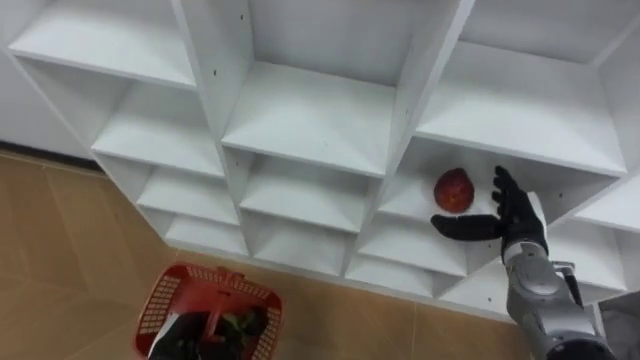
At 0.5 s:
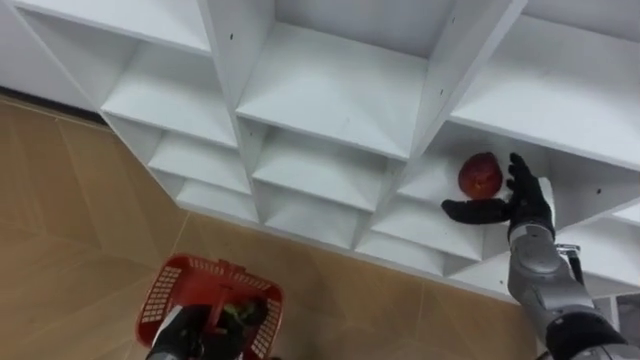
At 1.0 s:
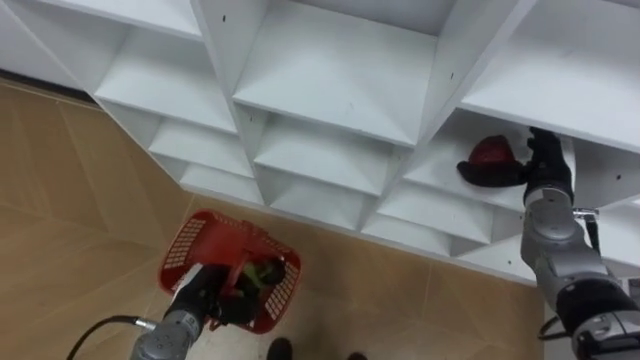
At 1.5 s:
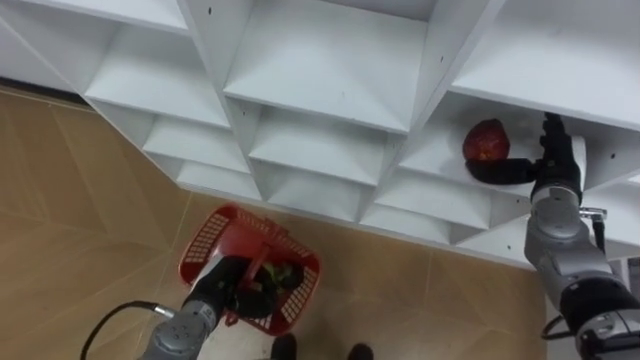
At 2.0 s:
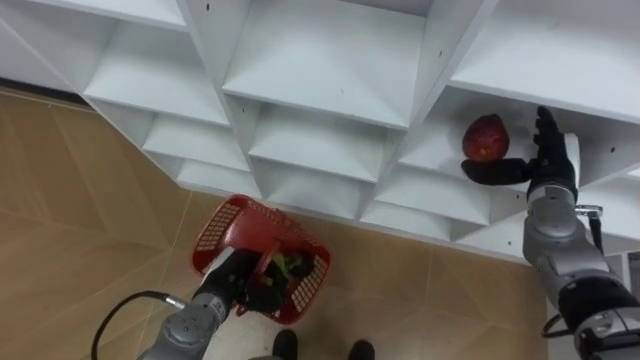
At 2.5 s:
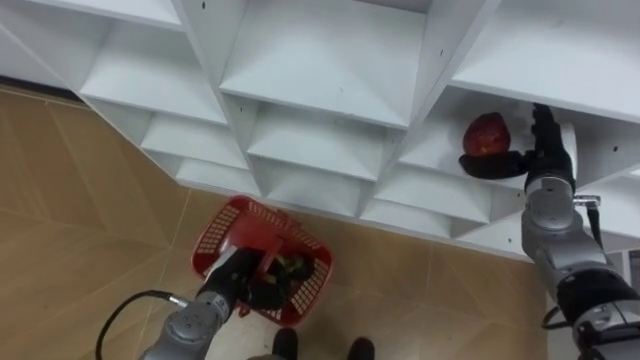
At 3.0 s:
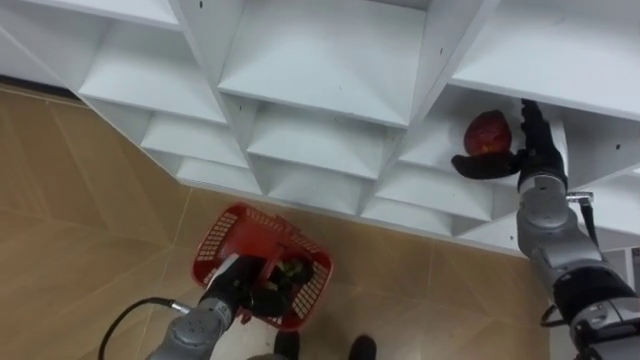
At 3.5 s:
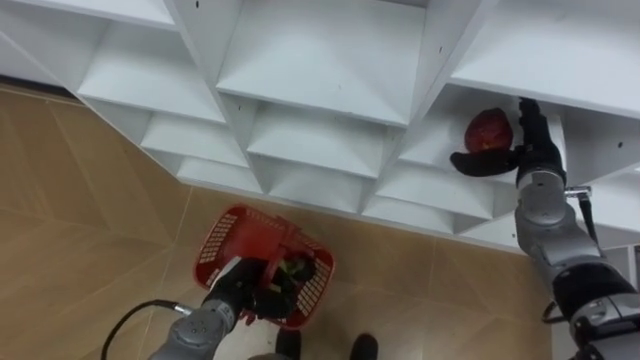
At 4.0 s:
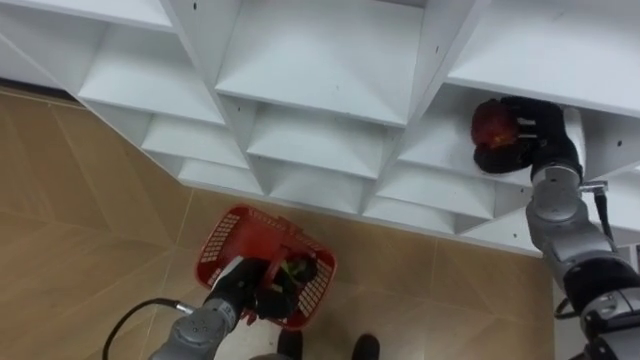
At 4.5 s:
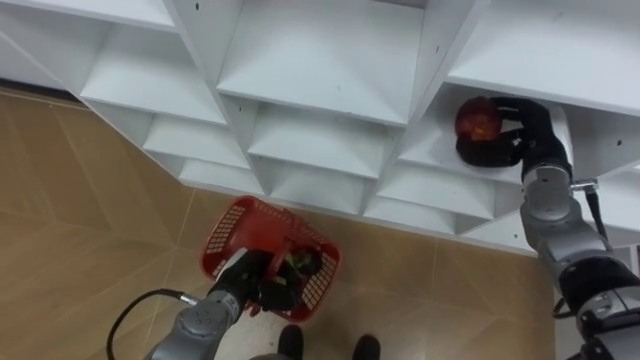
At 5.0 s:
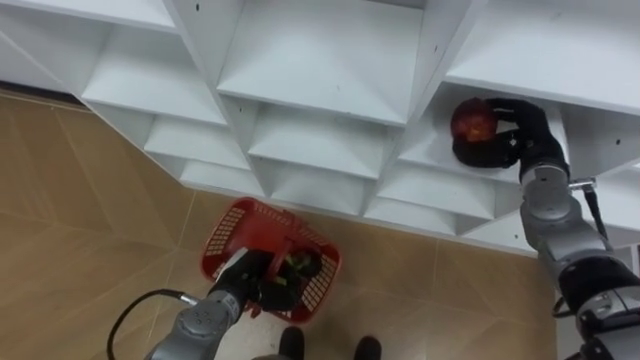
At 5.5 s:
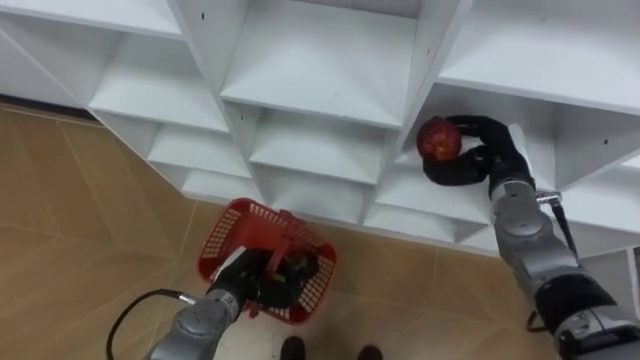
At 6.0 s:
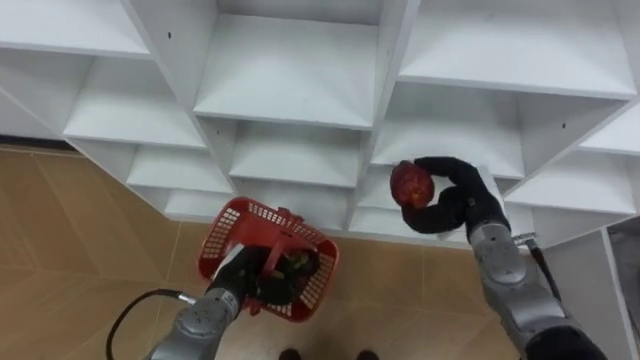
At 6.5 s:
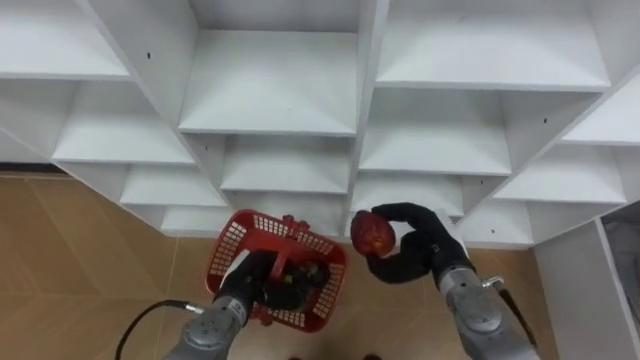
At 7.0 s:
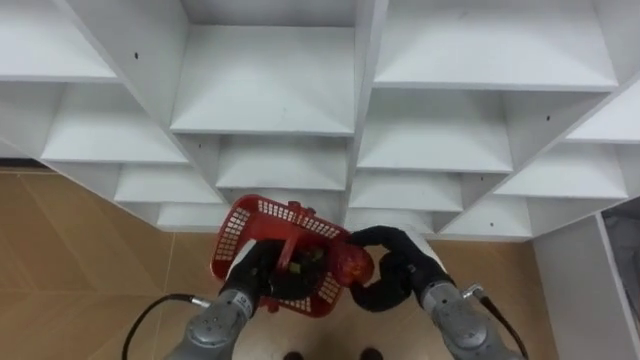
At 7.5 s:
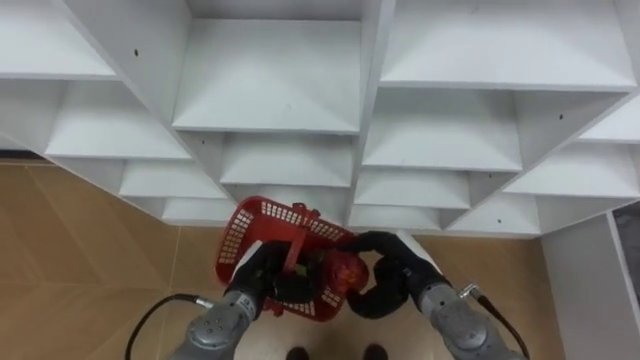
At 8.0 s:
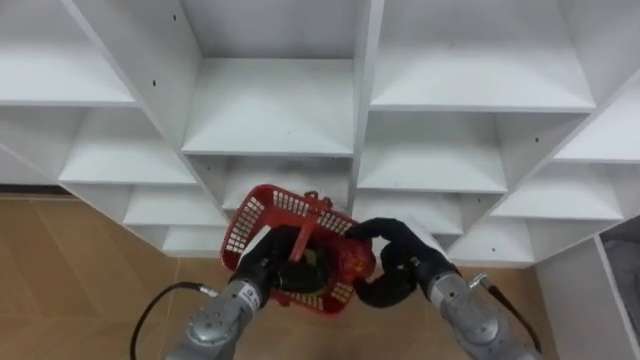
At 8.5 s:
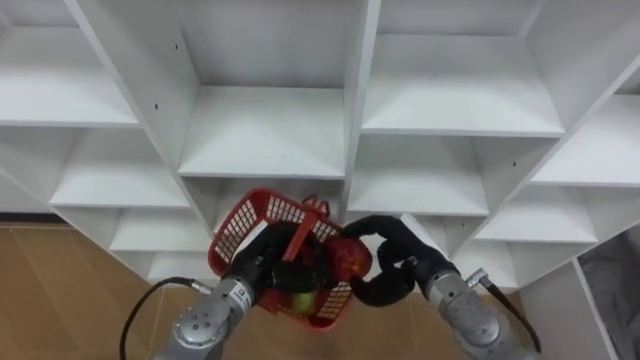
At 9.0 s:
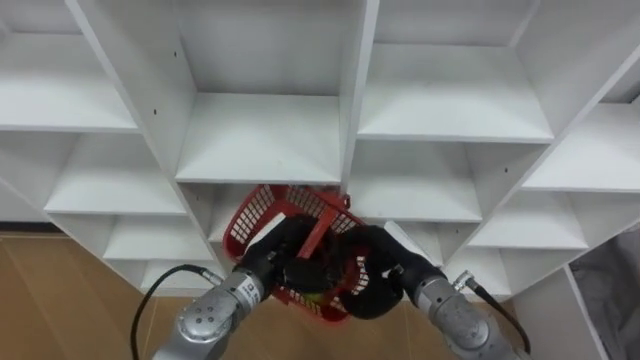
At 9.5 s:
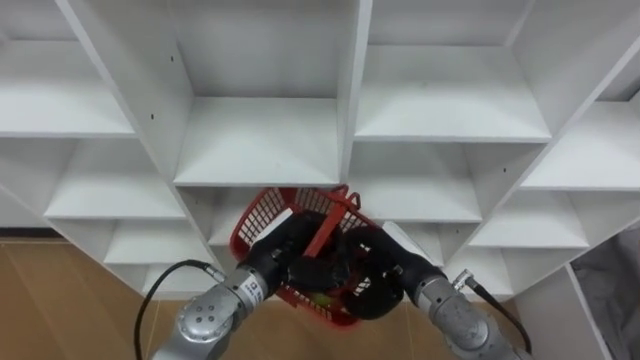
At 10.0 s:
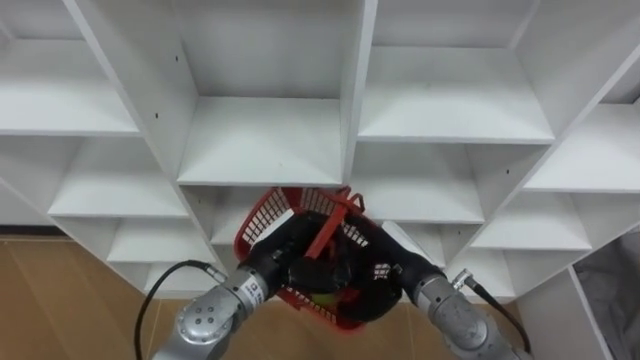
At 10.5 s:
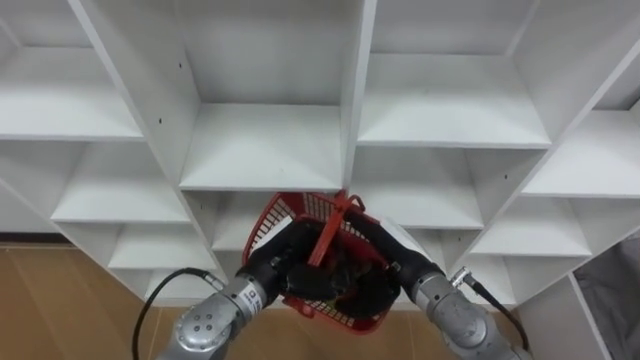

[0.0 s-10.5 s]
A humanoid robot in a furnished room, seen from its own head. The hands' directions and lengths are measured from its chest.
Task of the whole recording: Hold the basket and collect the fruits from 3 different cells of the closet into it.
0.0 to 2.0 s: The right hand heads upward and forward, covering some 10 cm, while the left hand travels forward and to the right by approximately 10 cm.
2.0 to 4.0 s: The right hand closes.
4.0 to 6.5 s: The right hand shifts some 20 cm to the left, downward and backward.
6.5 to 8.5 s: The left hand heads upward, covering approximately 5 cm.
8.5 to 10.5 s: The right hand opens up.

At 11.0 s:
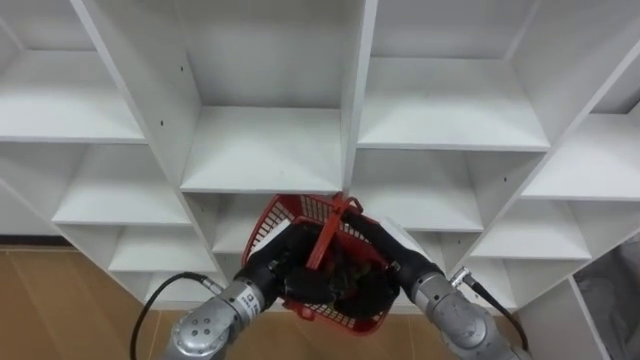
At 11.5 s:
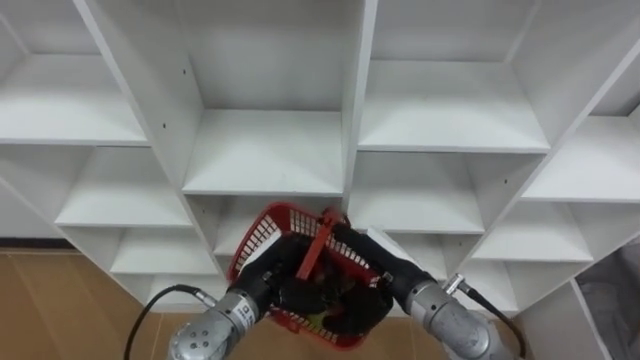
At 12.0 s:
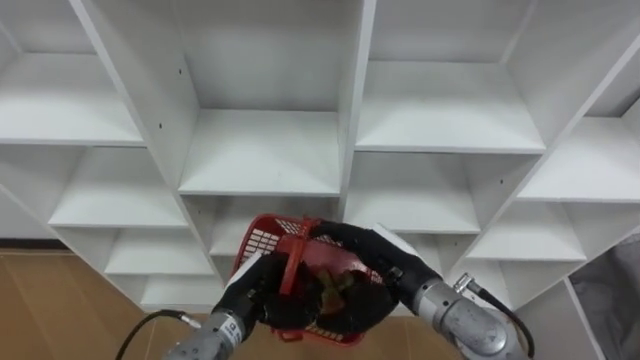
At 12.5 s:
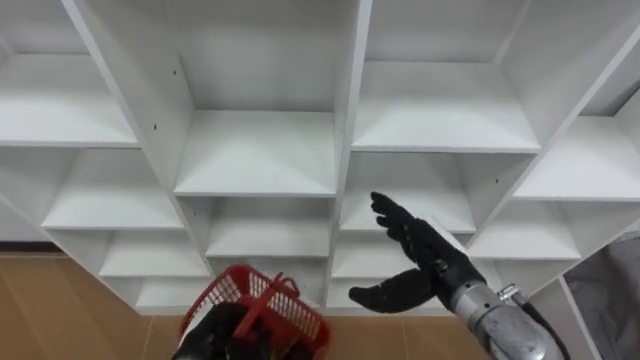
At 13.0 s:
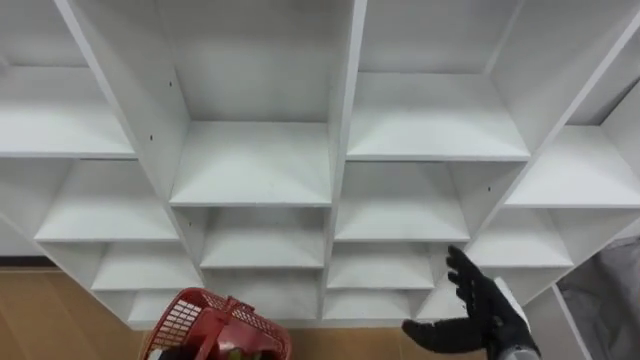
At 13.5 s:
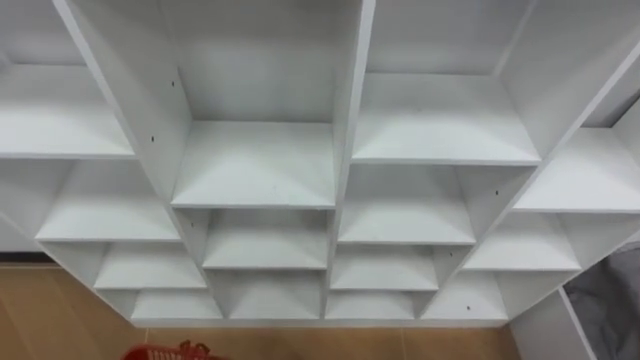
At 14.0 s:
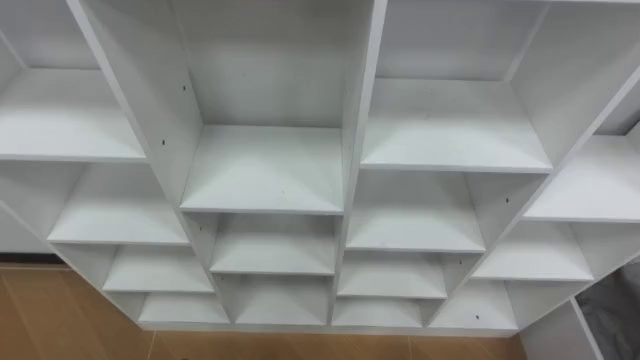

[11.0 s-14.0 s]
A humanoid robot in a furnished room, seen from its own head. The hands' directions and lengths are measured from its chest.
Task of the whole recording: Hold the basket and collect the fruits from 3 different cells of the closet into it.
11.0 to 12.5 s: The right hand ends up roughly 5 cm from where it was, while the left hand heads downward, to the left and backward, covering roughly 15 cm.

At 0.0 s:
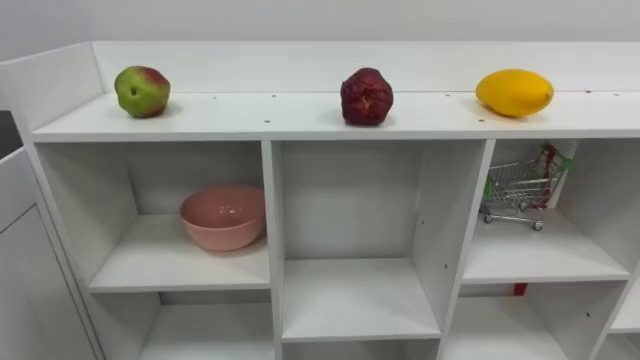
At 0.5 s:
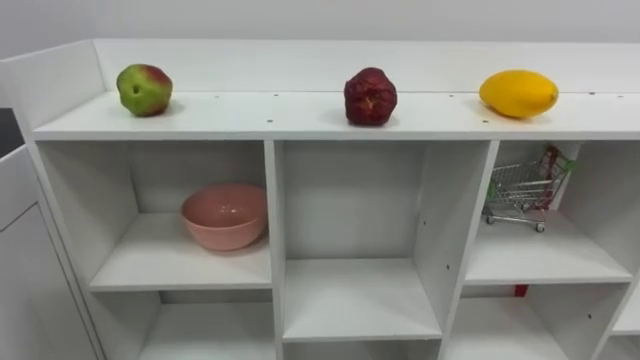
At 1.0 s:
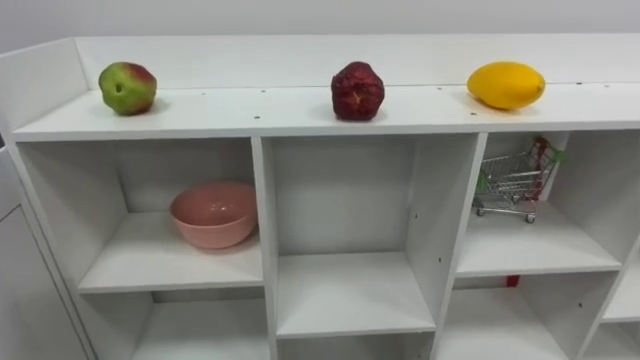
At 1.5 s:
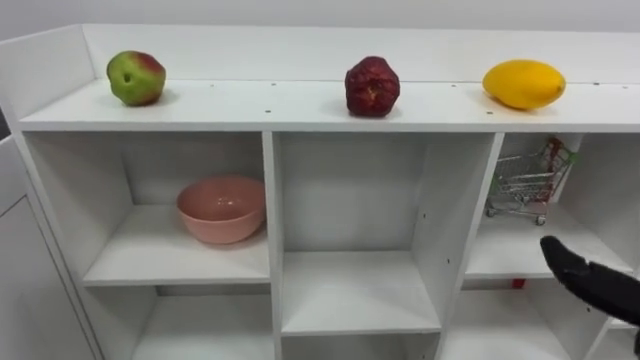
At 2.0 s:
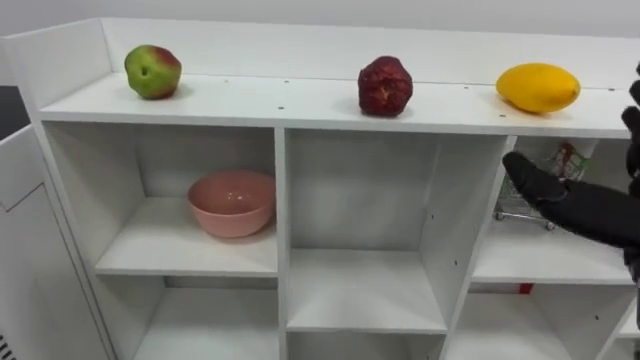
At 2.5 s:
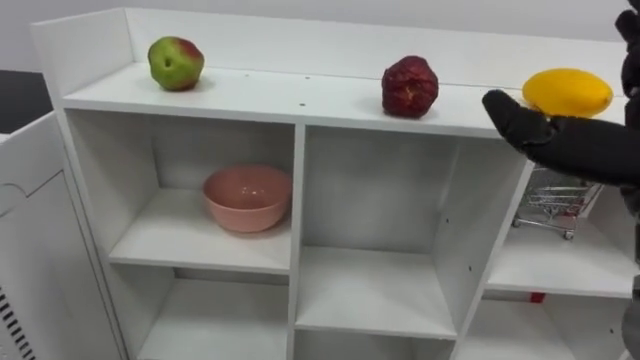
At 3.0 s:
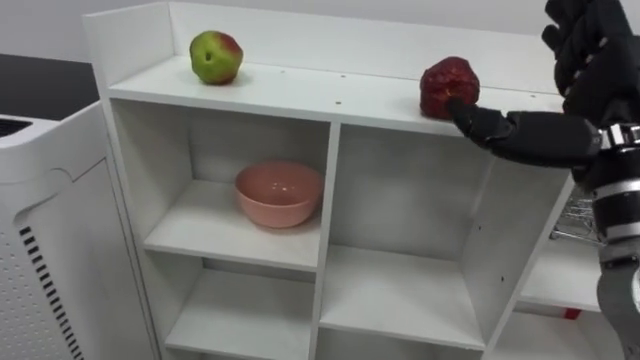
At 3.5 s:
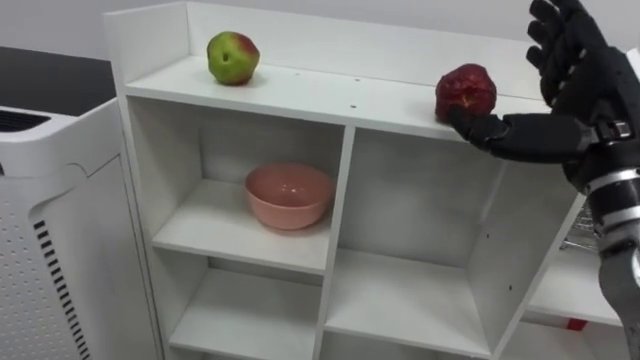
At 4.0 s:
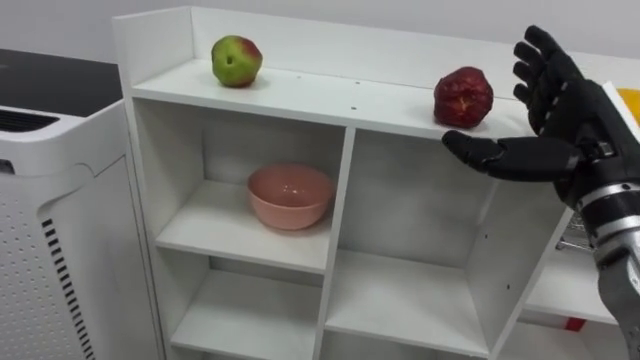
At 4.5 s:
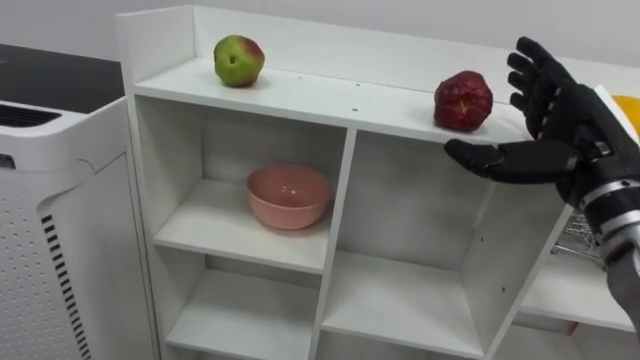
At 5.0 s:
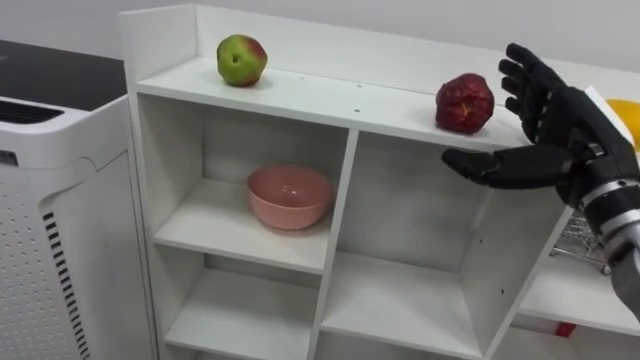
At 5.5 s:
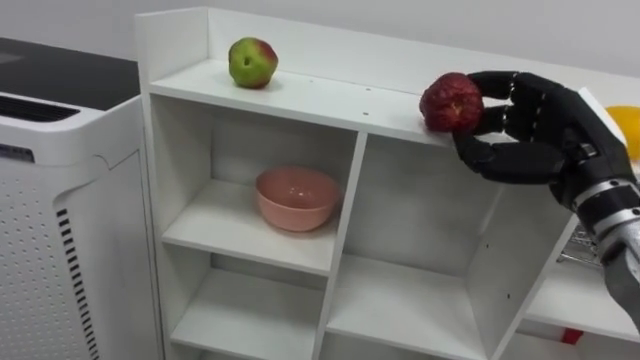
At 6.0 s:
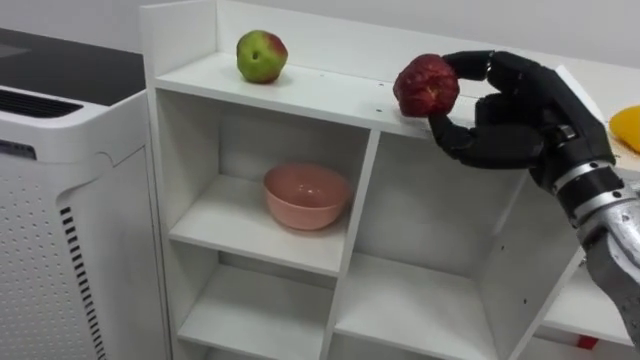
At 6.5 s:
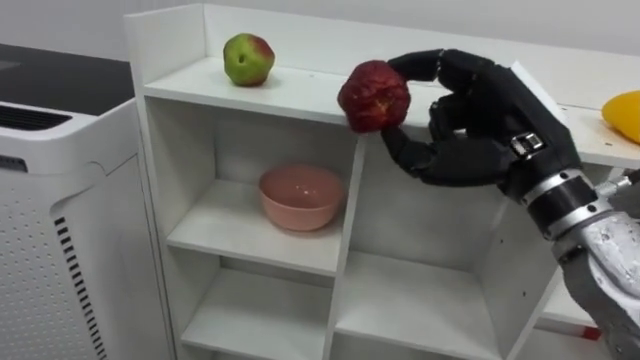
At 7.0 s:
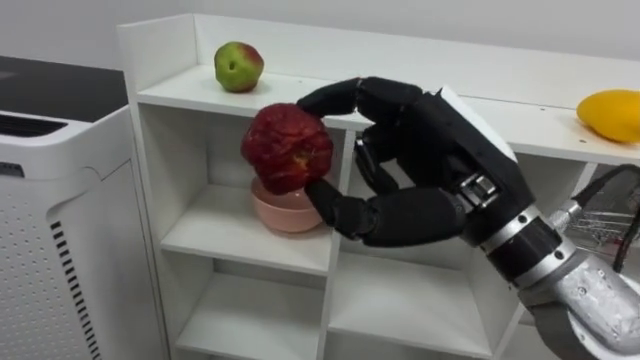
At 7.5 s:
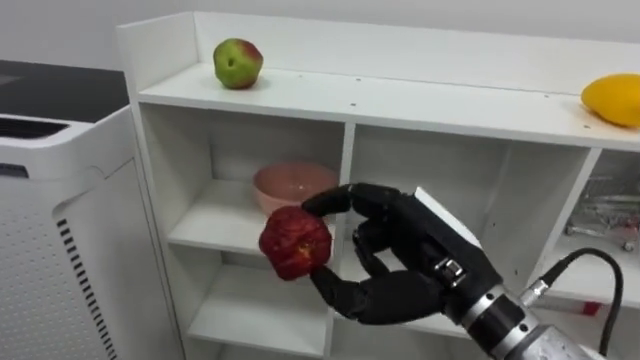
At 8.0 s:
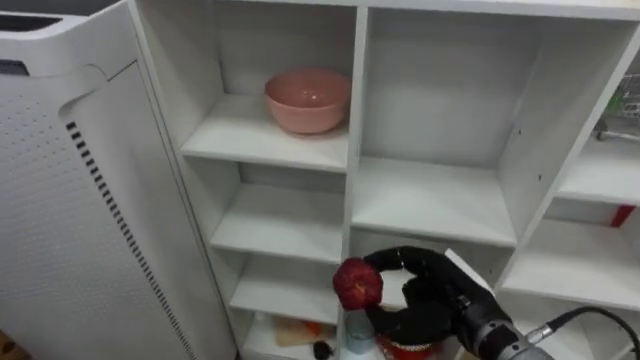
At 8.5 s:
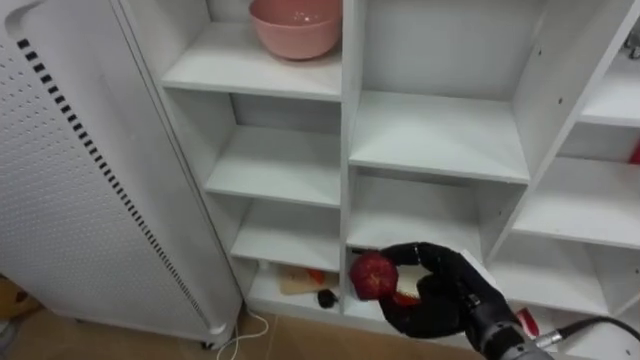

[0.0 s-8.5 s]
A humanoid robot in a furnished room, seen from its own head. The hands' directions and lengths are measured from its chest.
Task of the whole recording: Put the apple in the cell in the second column from the left and the second row from the top.
4.0 to 6.5 s: The right hand heads to the left, covering roughly 10 cm, and closes up.
6.5 to 8.5 s: The right hand moves downward, about 20 cm.
